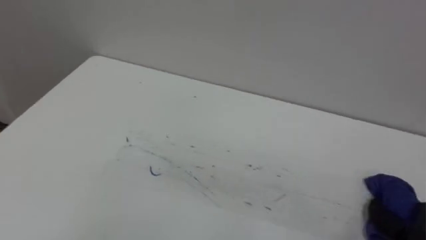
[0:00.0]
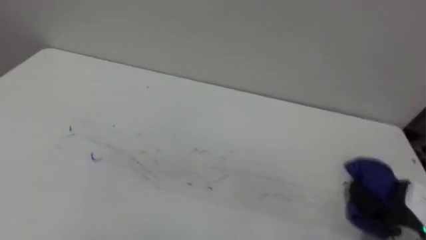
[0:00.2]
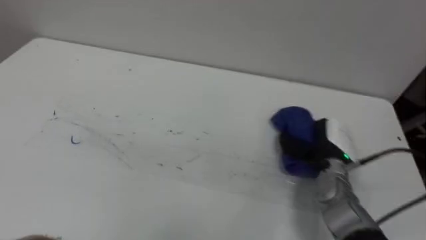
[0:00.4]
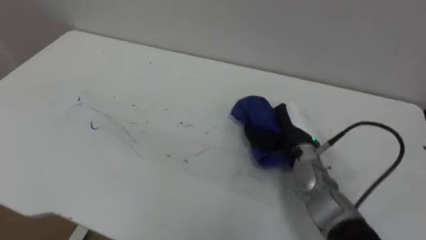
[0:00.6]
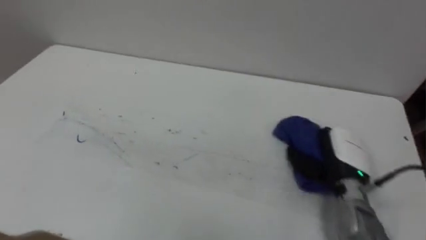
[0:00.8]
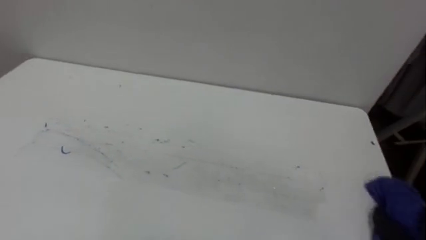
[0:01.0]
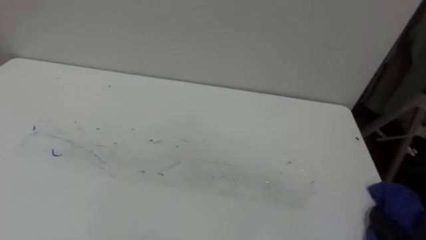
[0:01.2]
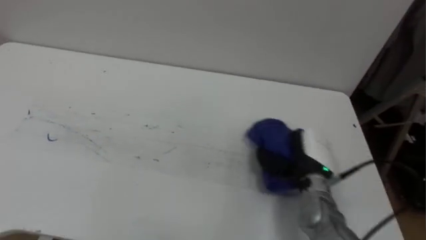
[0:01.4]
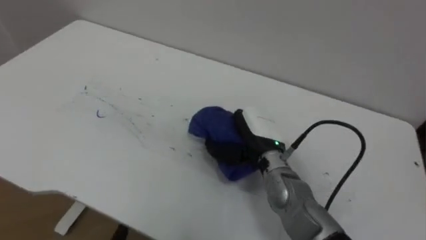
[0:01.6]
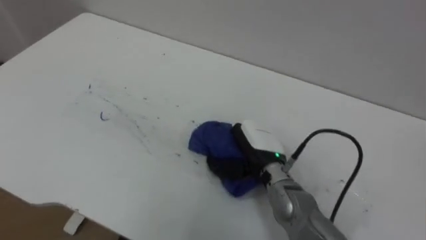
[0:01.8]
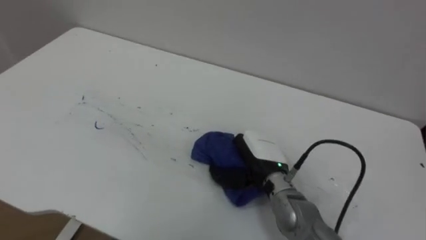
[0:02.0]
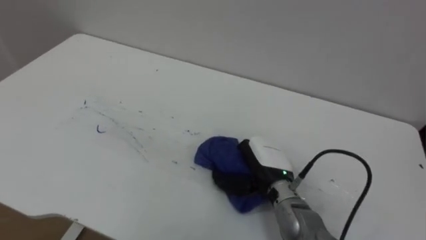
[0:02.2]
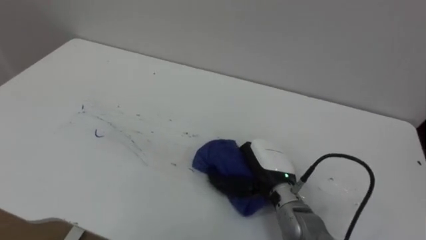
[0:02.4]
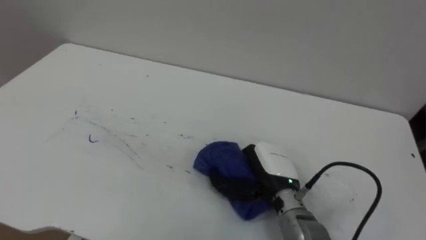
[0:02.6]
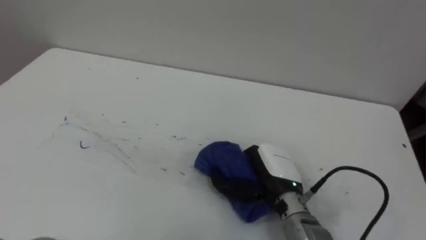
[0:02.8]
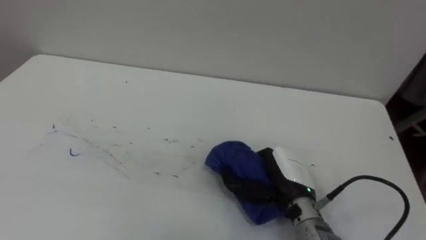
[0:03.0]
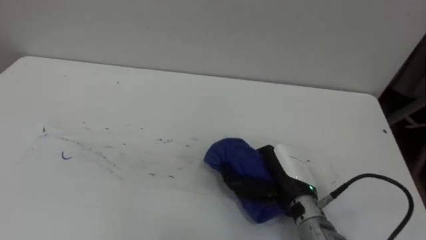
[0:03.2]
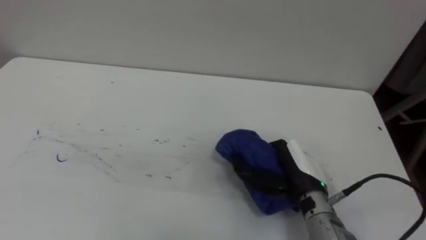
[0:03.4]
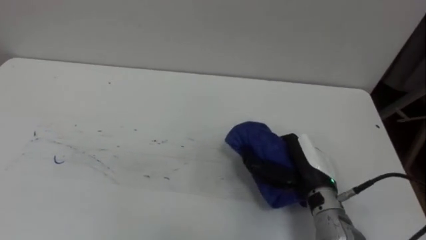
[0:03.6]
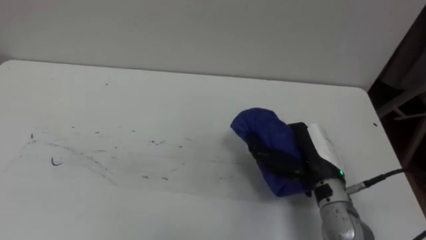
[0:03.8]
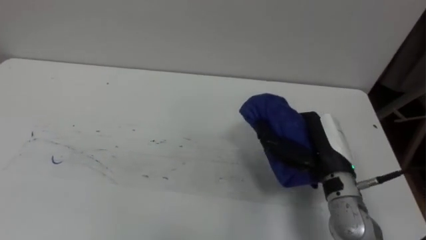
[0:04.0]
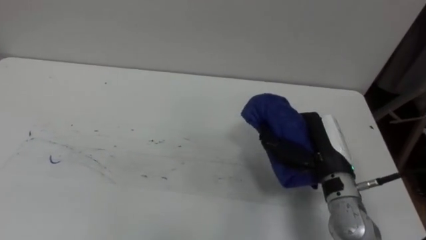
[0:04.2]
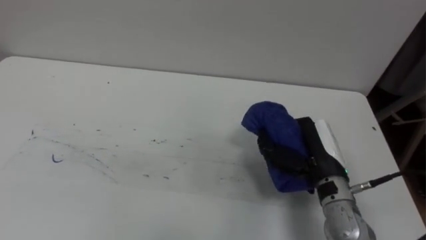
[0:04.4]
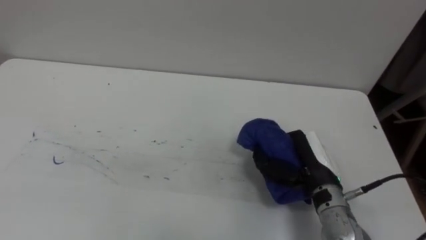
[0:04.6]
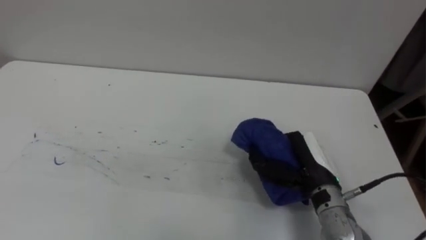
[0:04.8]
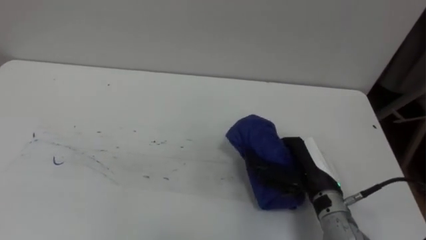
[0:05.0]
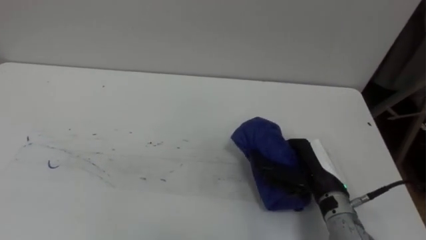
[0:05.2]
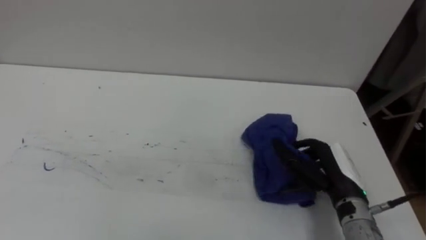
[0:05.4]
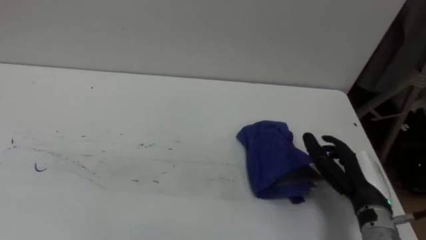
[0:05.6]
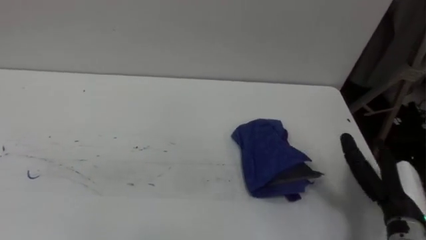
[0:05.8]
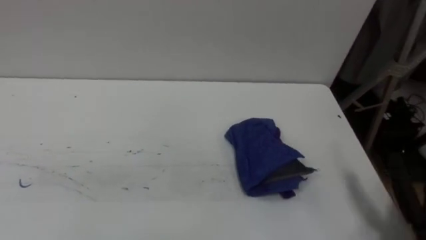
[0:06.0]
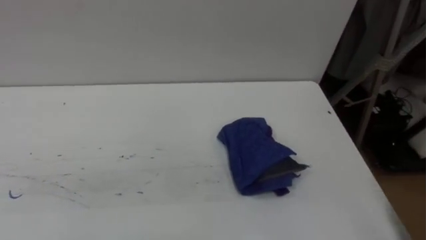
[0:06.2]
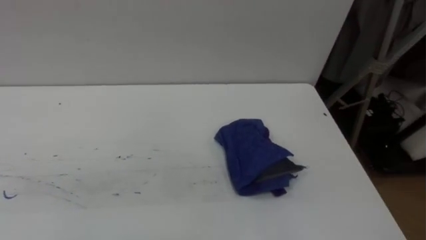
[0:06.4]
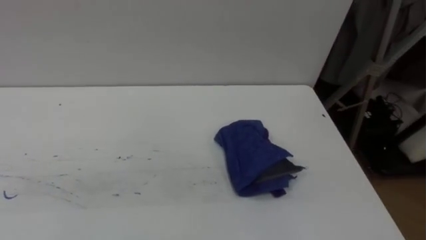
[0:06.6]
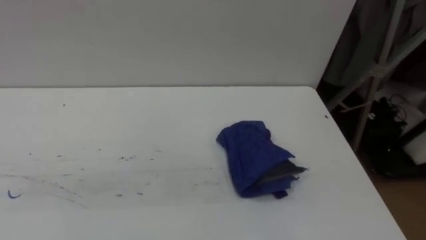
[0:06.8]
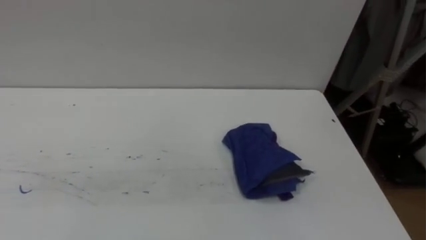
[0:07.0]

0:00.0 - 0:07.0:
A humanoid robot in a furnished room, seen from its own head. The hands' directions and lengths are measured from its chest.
Task of the whole recording: Wipe the blue pen marks off the table with the rag.
0:01.4 - 0:02.8: The right hand moves to the left, some 15 cm.
0:02.8 - 0:04.2: The right hand travels to the right and upward by some 10 cm.
0:04.2 - 0:05.6: The right hand shifts approximately 10 cm to the right and downward, and opens up.

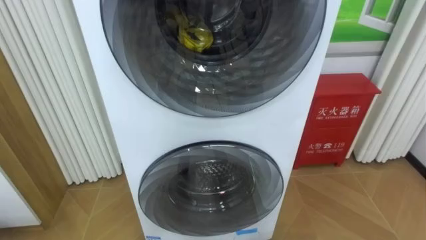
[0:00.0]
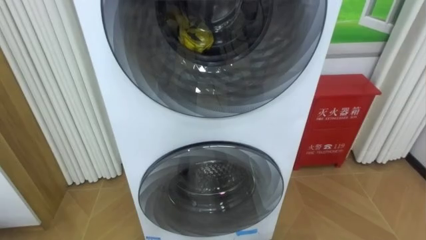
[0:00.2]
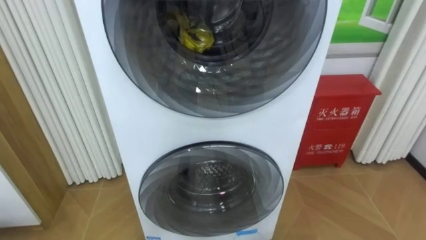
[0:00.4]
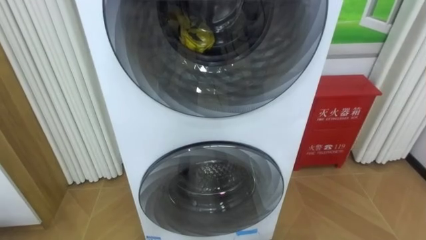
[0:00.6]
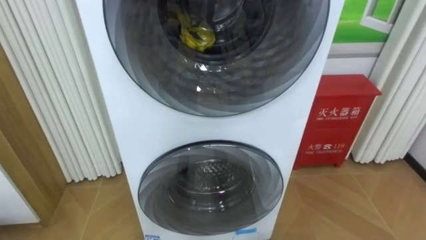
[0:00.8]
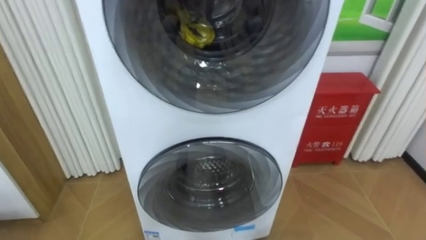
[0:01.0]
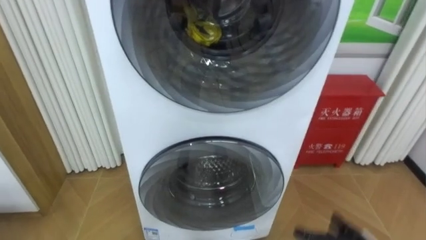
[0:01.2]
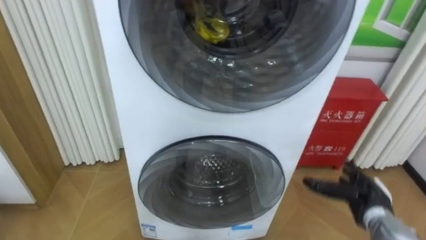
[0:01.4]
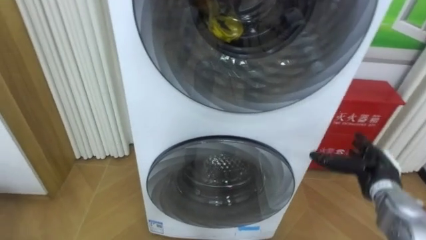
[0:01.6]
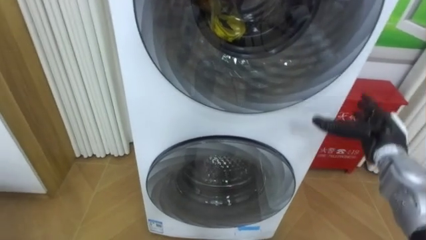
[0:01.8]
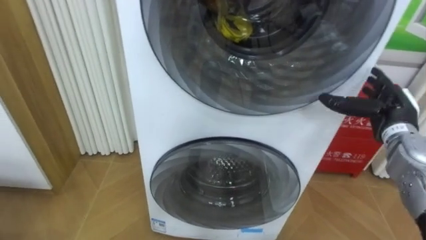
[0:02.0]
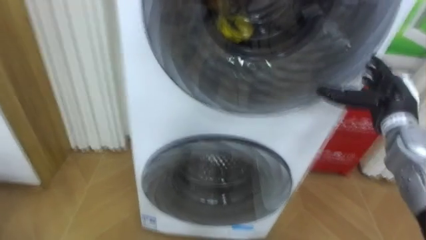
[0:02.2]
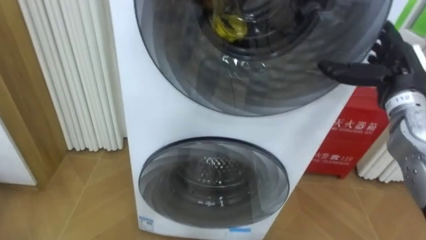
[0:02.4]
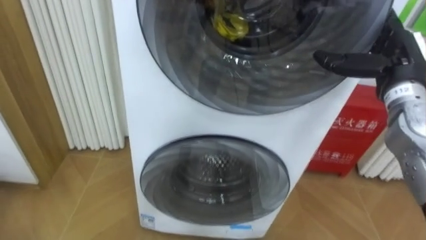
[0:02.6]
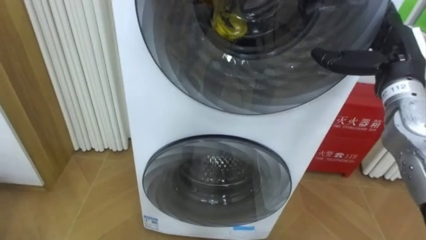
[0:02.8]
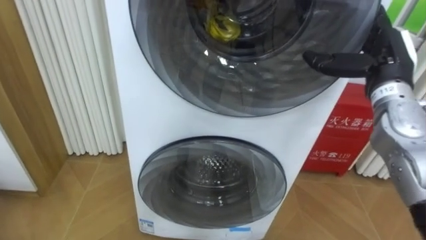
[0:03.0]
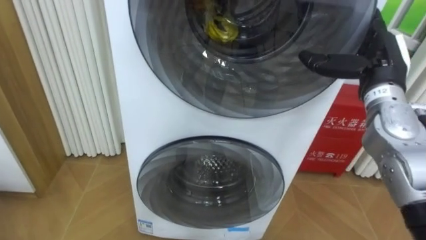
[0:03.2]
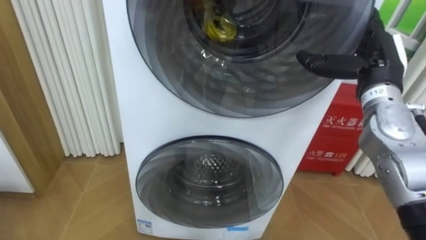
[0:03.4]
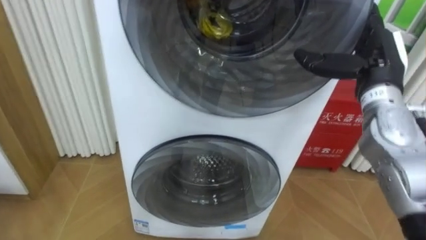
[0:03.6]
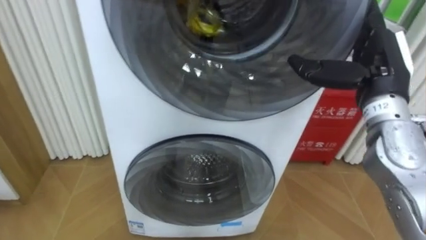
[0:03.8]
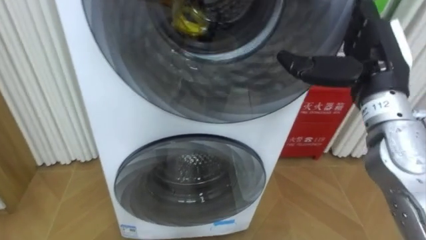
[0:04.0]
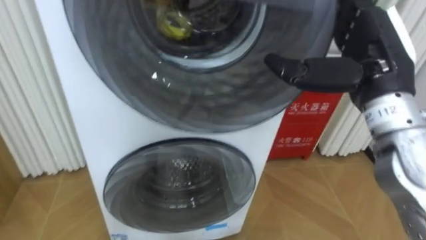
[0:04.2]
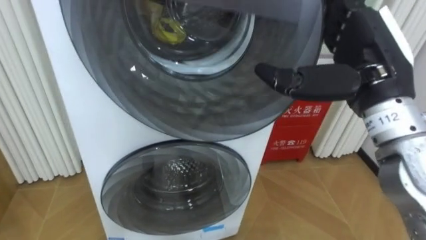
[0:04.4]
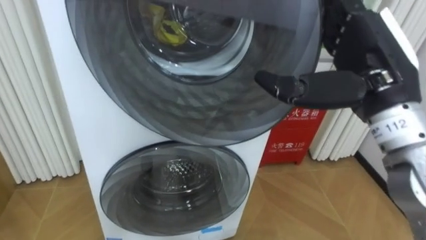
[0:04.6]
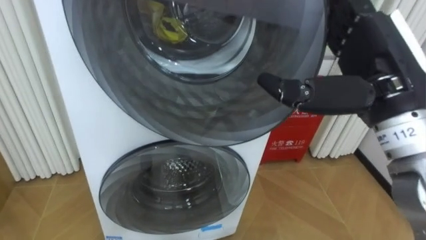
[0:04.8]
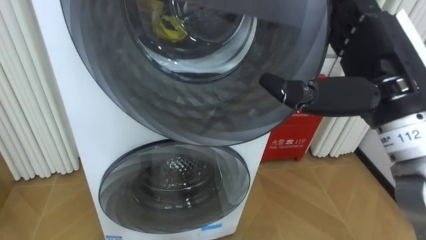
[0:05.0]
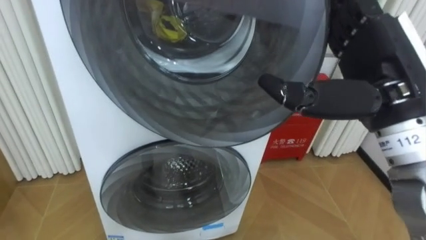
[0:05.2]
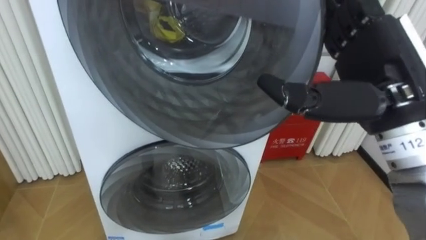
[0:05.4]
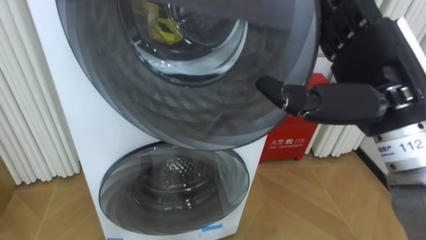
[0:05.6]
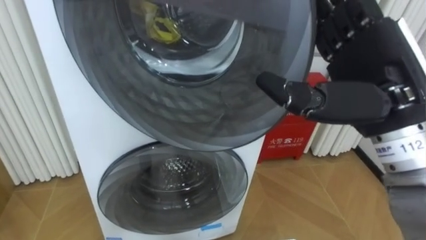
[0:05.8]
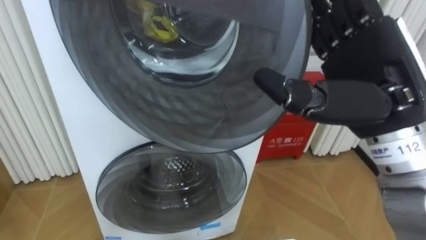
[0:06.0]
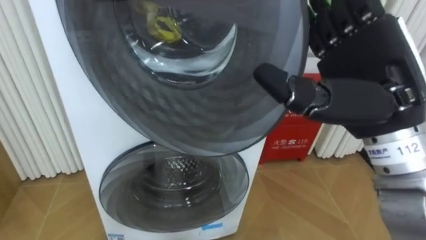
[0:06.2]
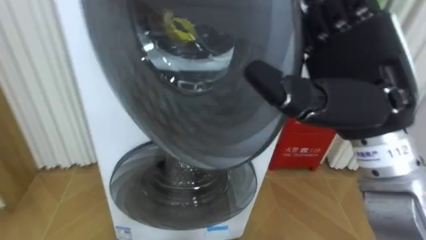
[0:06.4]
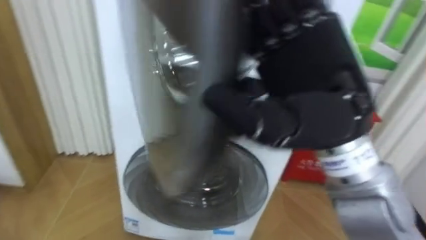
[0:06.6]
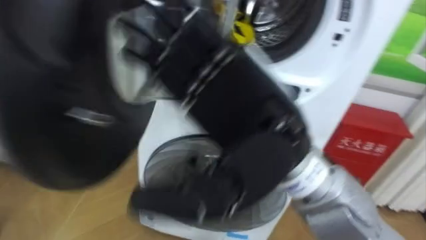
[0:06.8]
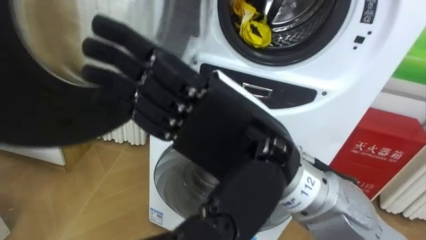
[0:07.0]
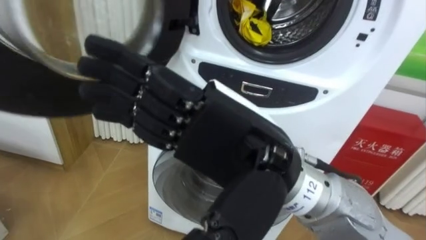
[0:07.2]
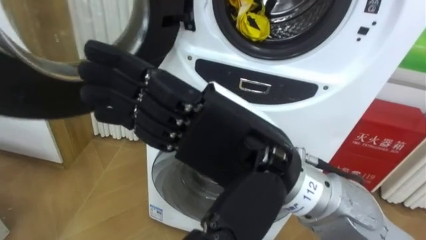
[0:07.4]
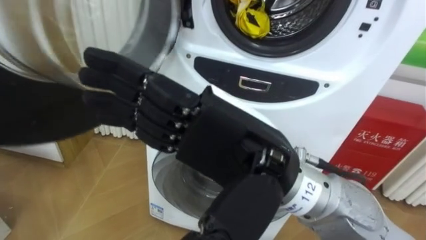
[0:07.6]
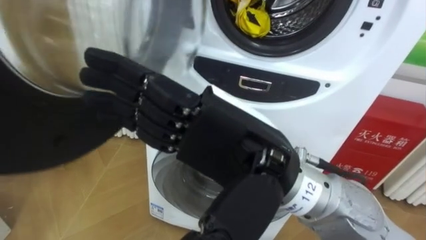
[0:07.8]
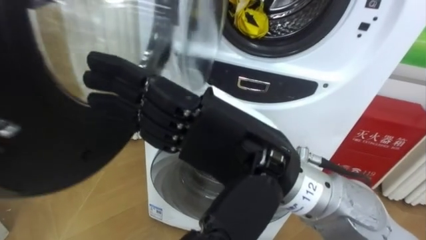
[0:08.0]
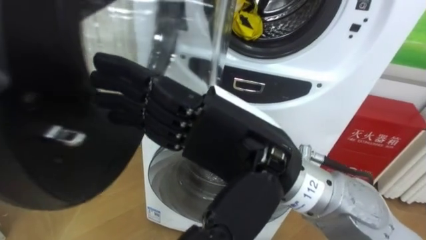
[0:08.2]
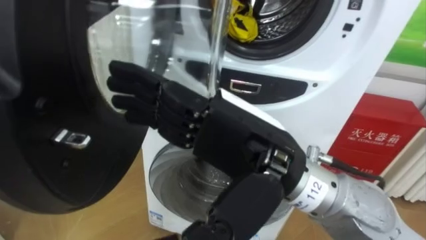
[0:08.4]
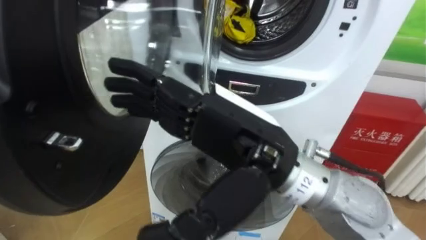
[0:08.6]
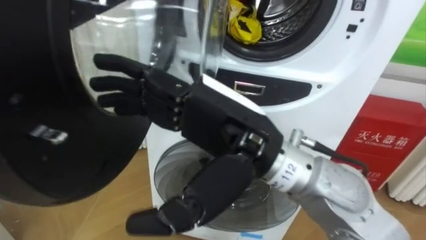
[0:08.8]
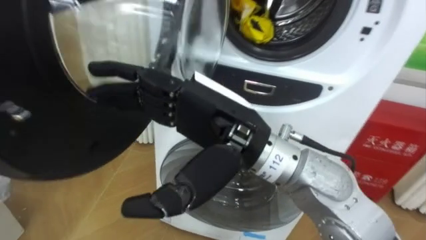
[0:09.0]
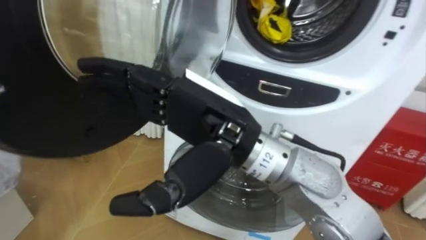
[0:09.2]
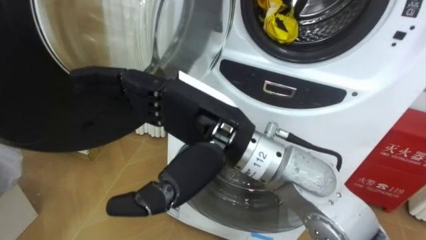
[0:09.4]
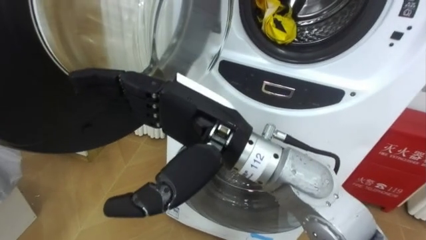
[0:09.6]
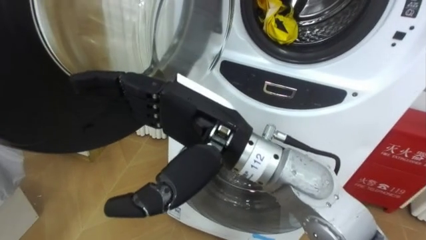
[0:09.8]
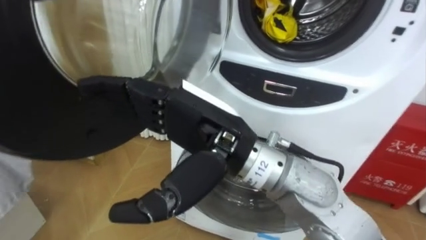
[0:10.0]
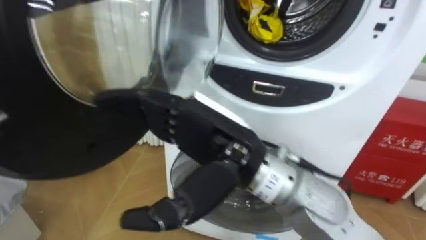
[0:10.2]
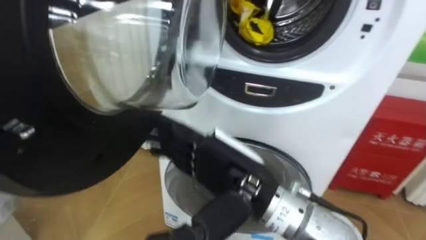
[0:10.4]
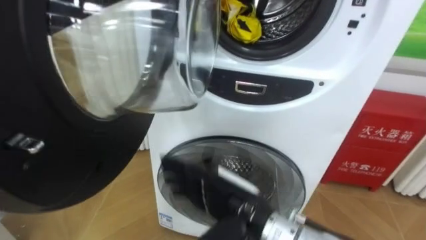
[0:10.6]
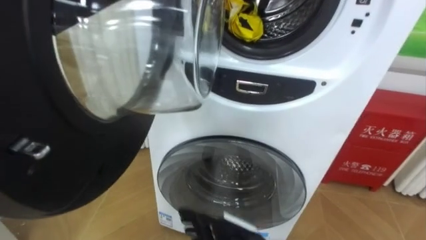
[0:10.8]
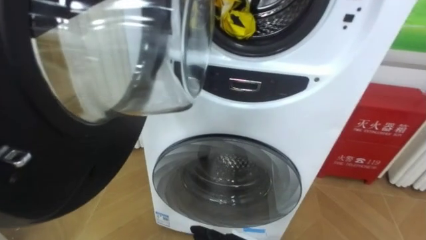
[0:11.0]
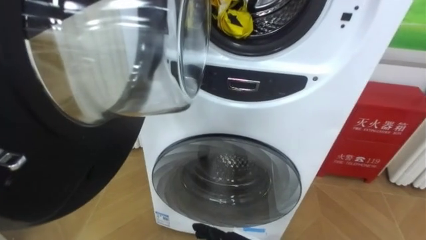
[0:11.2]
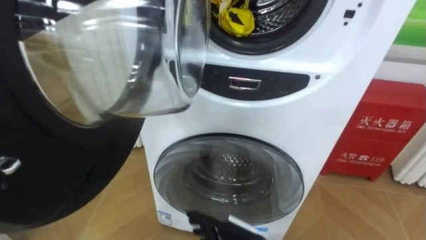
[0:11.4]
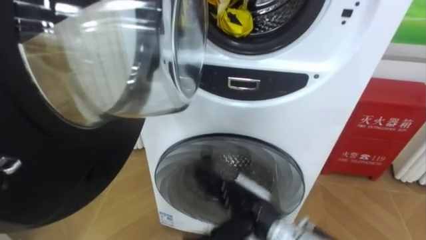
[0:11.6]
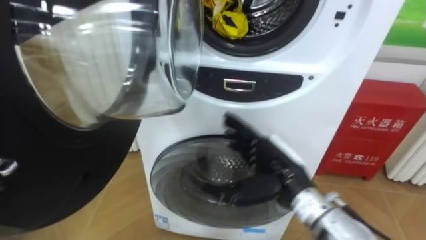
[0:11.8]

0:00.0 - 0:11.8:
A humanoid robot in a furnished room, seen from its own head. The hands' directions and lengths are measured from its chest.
Task of the whole recording: Open the washing machine door, take out the yellow clothes, place them in the box on the right, and close the washing machine door.
0:01.4 - 0:03.0: The right hand moves upward, about 25 cm.
0:03.0 - 0:04.4: The right hand heads backward, to the left and upward, covering approximately 15 cm.
0:06.0 - 0:07.4: The right hand moves to the left and backward, approximately 15 cm.
0:08.8 - 0:10.4: The right hand moves downward, roughly 10 cm.
